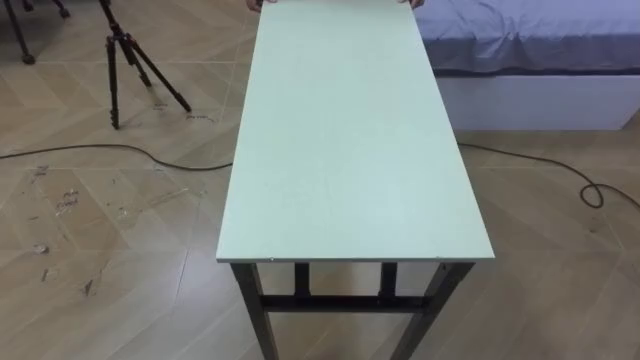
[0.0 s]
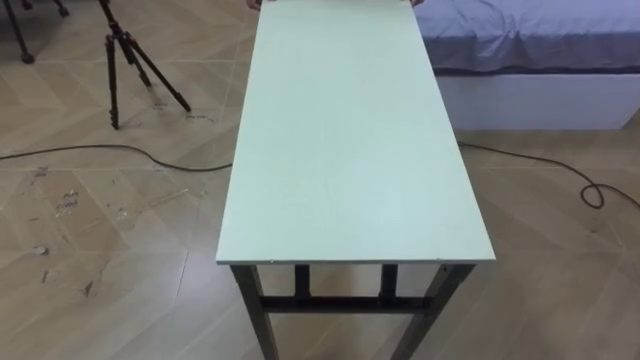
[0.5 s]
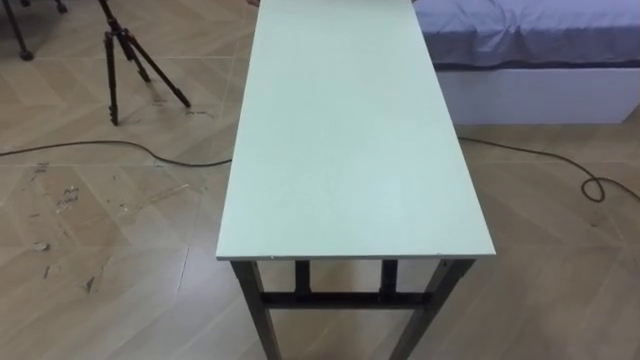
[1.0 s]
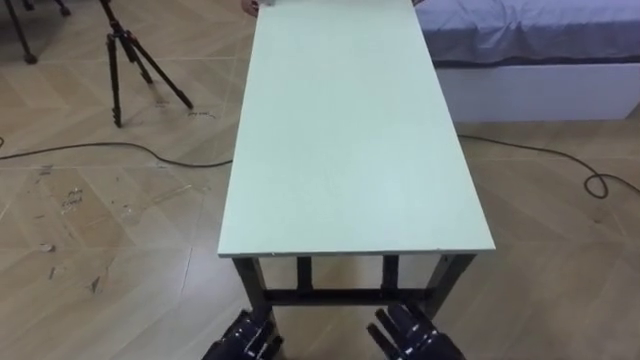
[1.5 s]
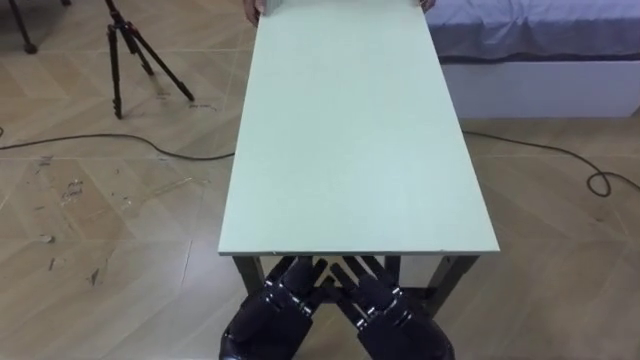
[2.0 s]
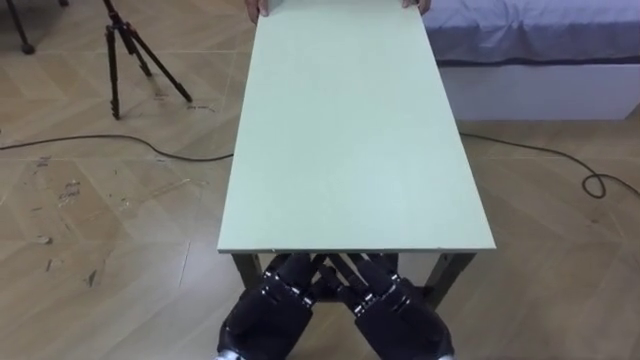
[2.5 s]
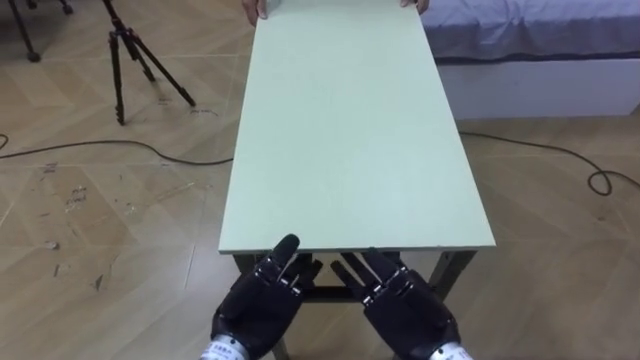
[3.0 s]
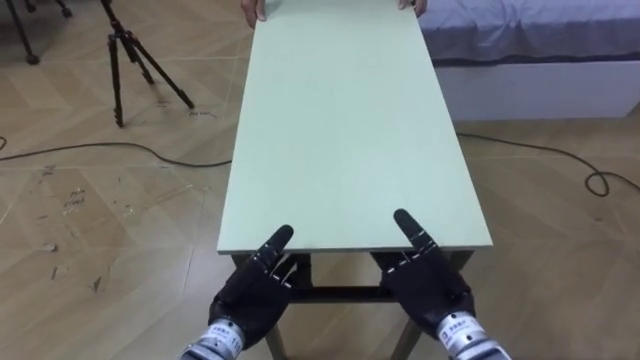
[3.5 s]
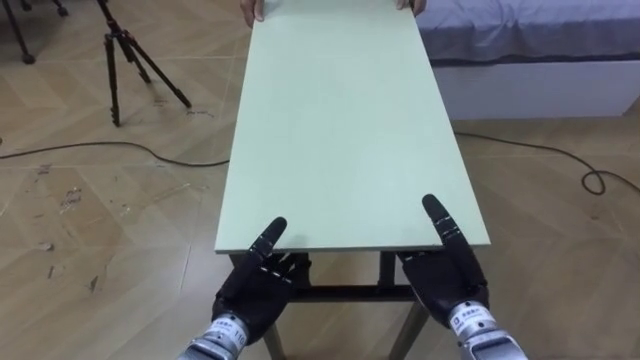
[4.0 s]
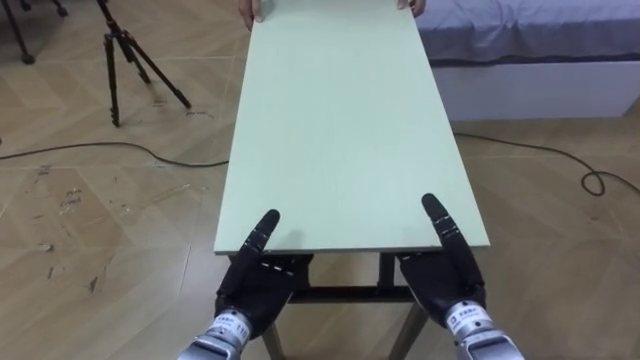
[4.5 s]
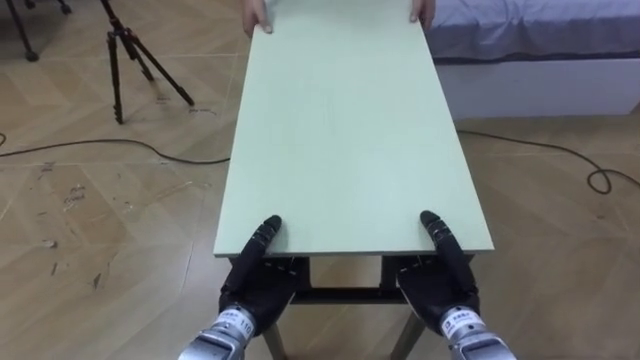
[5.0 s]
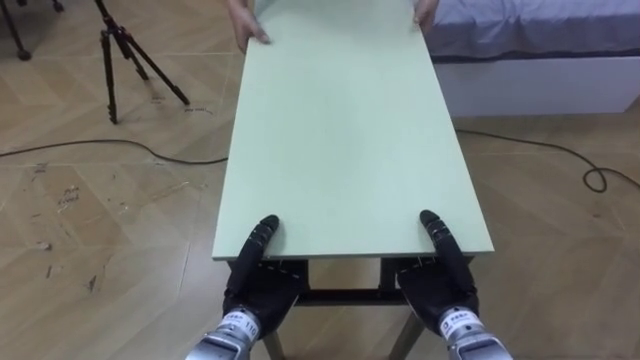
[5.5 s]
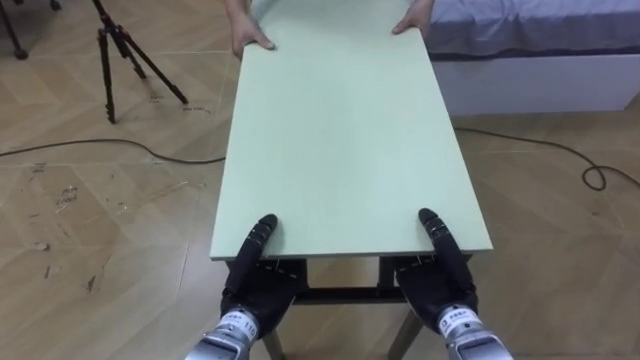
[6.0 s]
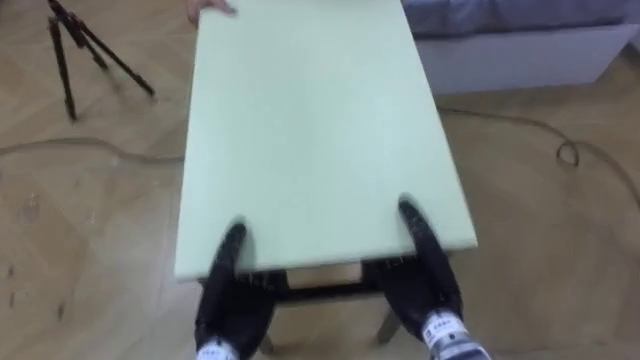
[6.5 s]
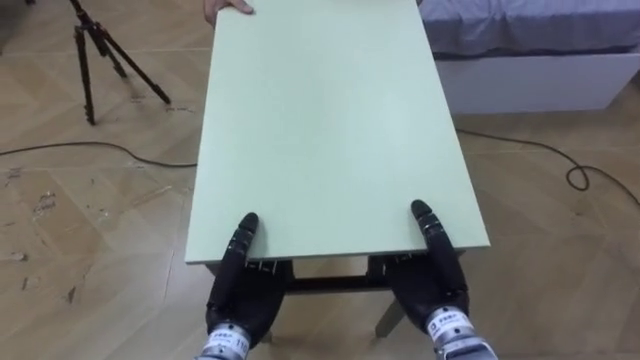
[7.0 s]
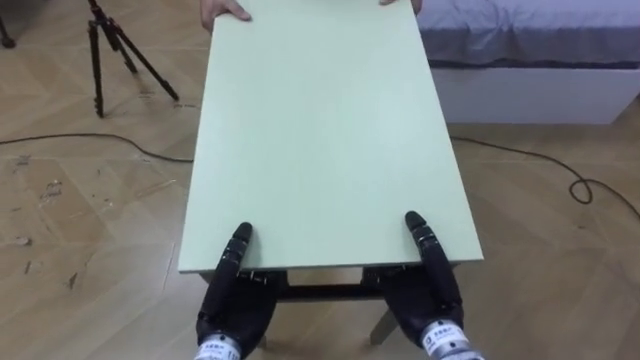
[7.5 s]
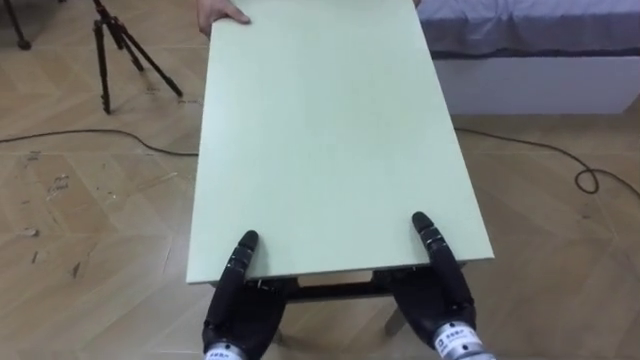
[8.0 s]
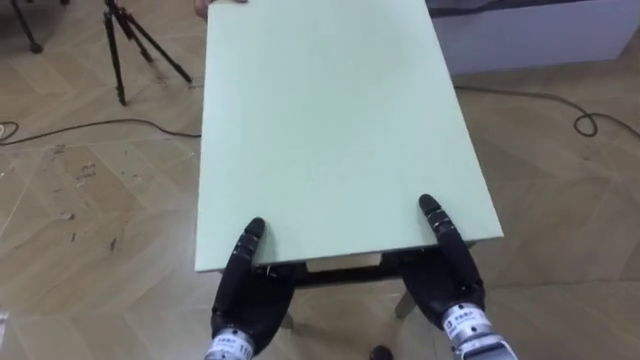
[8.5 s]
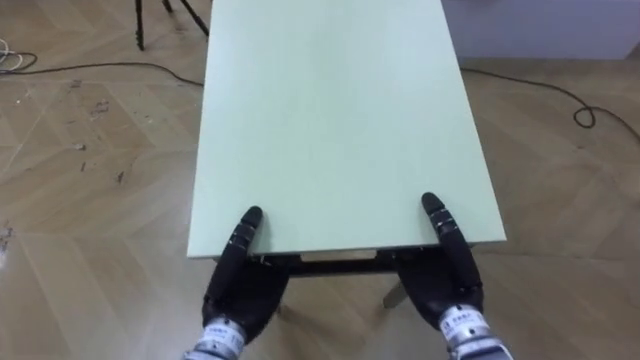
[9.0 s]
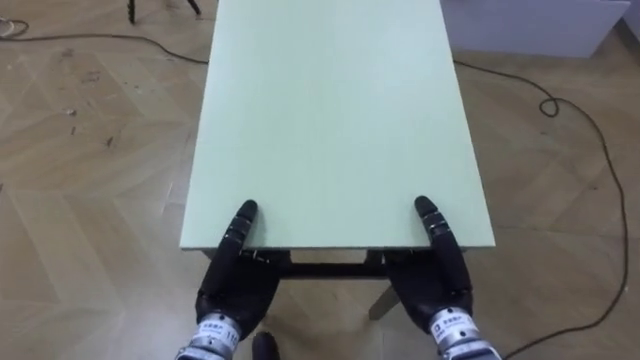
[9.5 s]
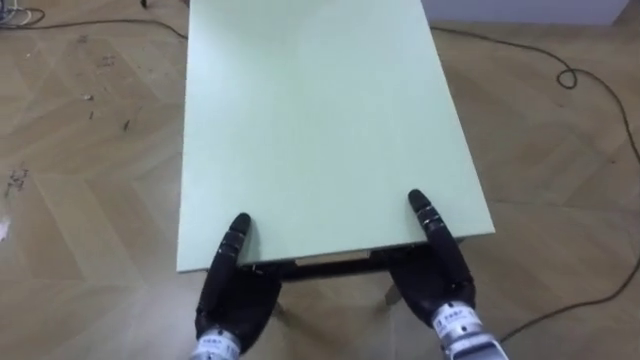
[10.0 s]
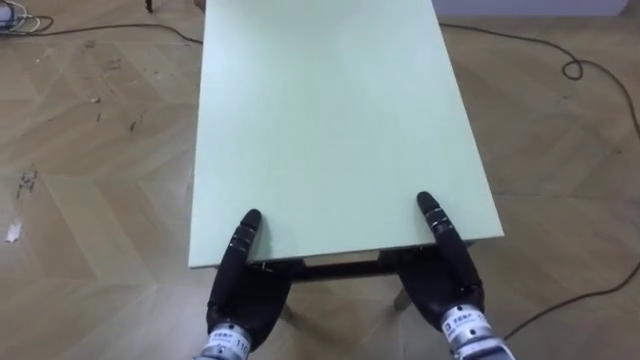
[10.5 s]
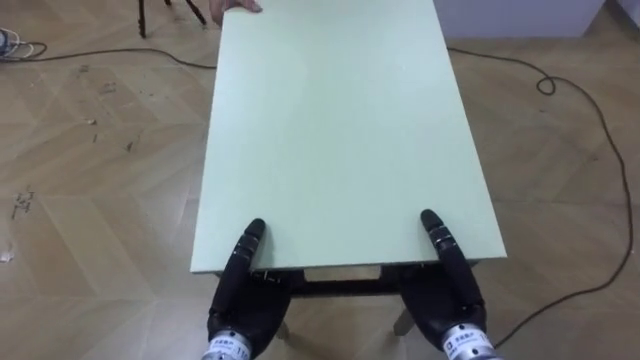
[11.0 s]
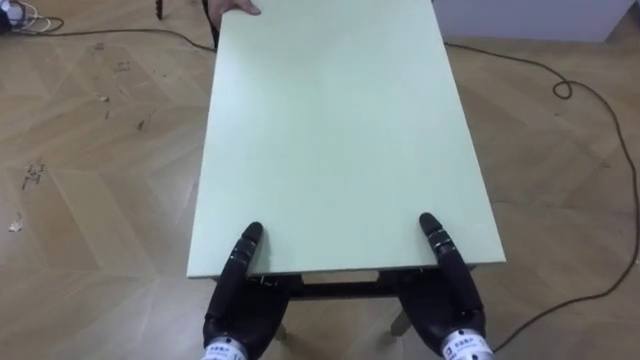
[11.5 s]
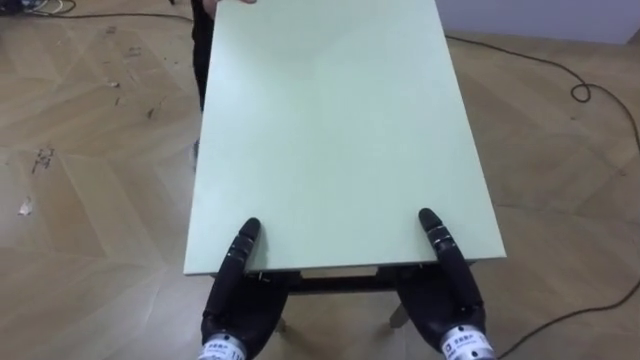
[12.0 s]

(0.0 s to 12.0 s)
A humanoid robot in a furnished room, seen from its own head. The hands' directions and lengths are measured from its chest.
Task of the whole recording: Move the table to the back left with someone.
2.0 s - 4.0 s: The right hand heads forward and to the right, covering some 10 cm; the left hand changes place by approximately 5 cm.
4.0 s - 6.0 s: The left hand closes up; the right hand closes its fingers.

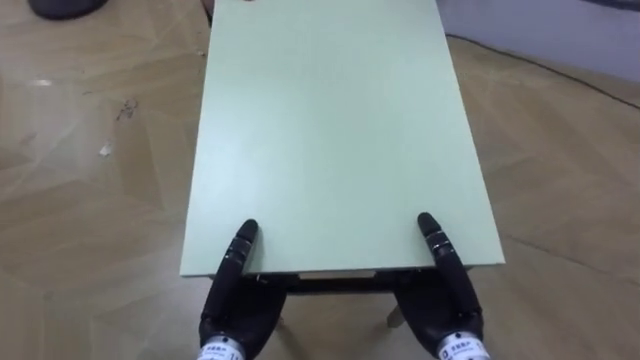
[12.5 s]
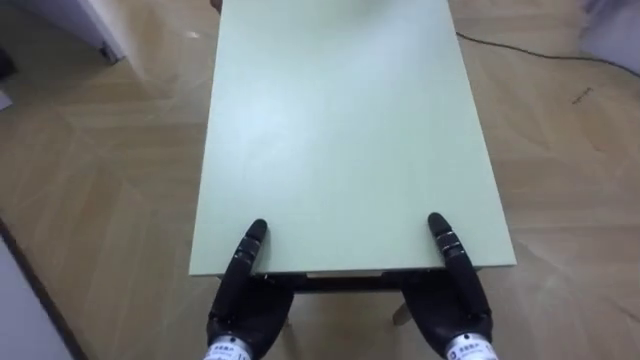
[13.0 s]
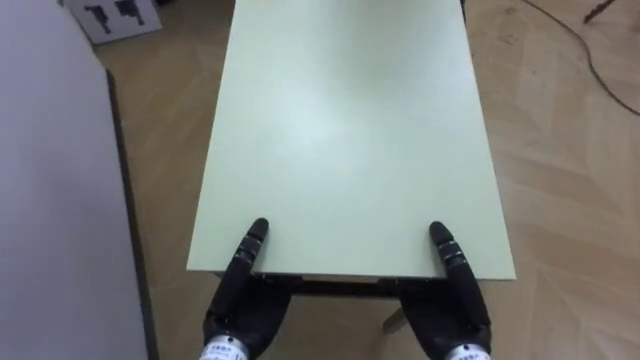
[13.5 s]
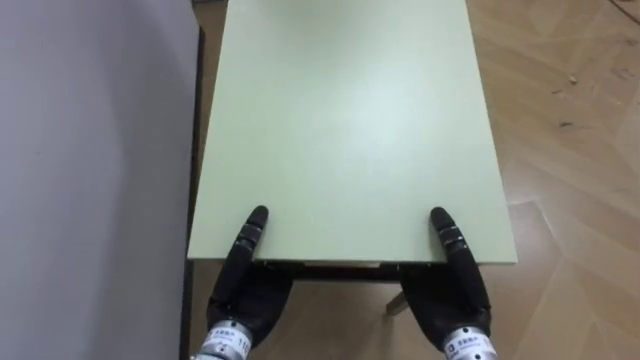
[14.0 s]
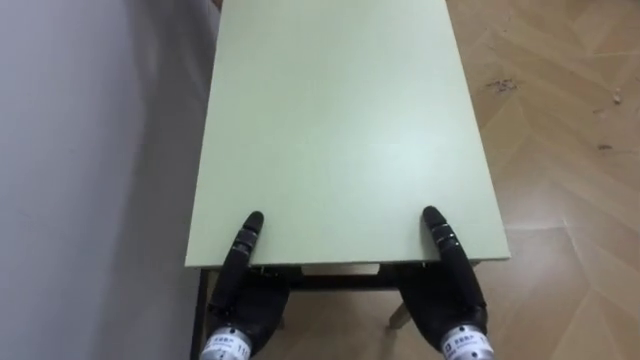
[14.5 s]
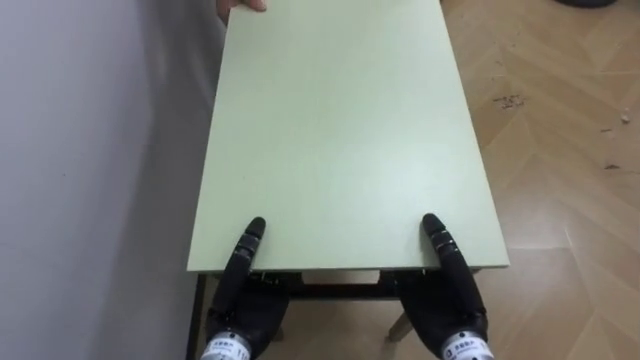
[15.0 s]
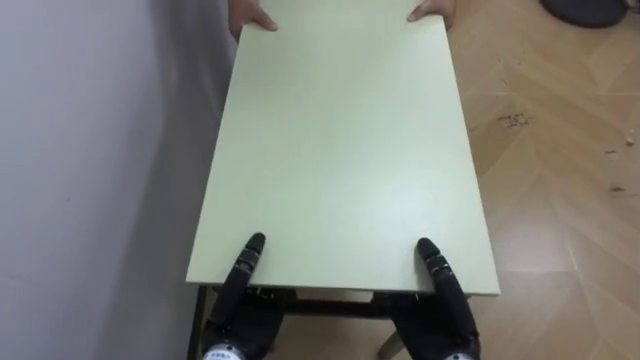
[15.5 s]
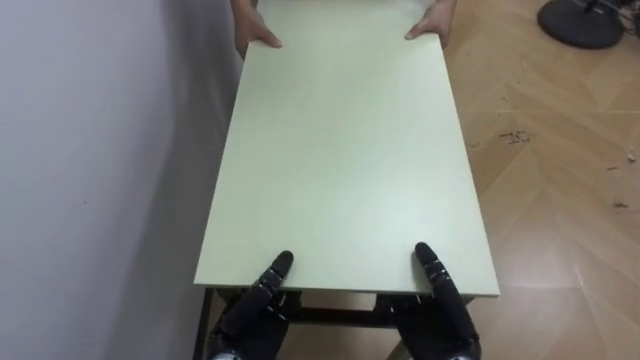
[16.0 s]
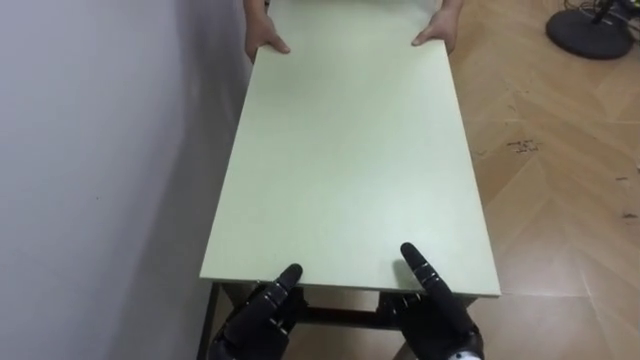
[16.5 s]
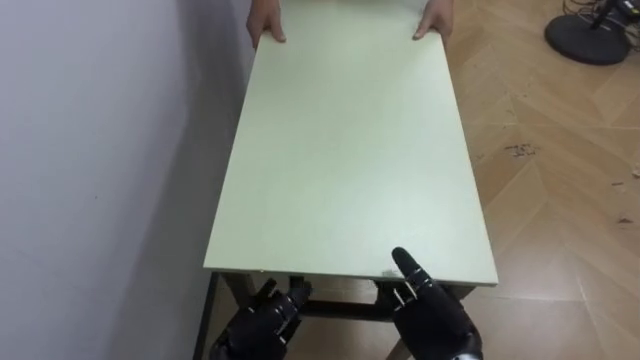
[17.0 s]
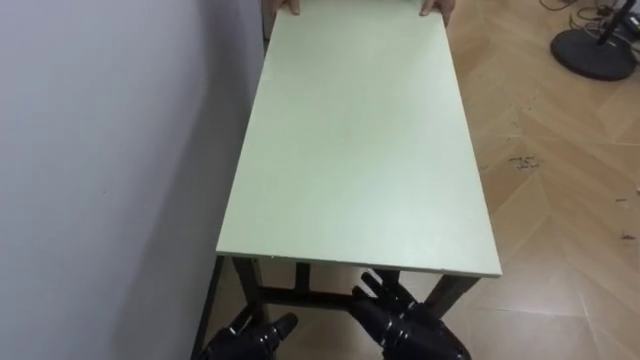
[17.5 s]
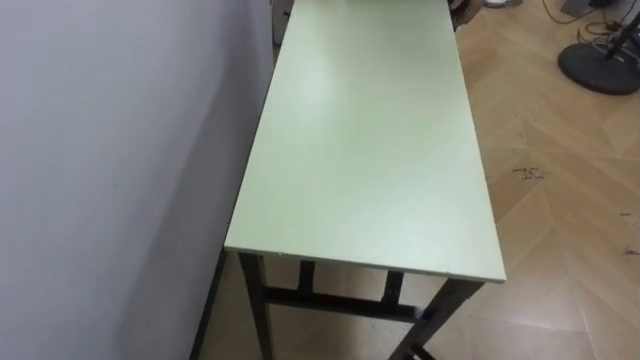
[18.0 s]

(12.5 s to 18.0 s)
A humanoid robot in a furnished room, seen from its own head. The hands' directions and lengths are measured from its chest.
Task of the whole recording: Move the table to the back left with someone.
12.5 s - 14.5 s: The robot faces roughly 65 degrees further to its left.
14.5 s - 16.0 s: The right hand shifts by about 5 cm, while the left hand shifts by about 5 cm.

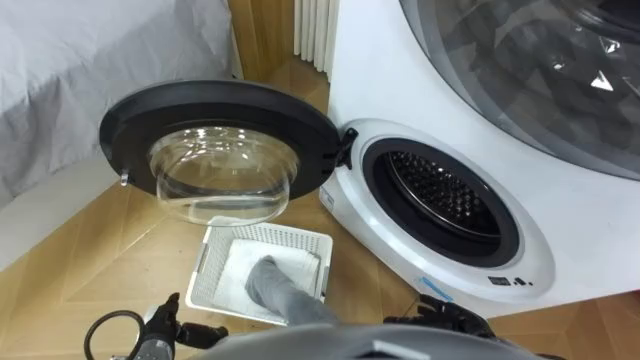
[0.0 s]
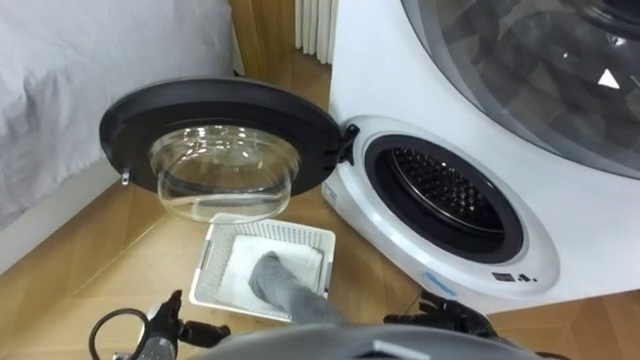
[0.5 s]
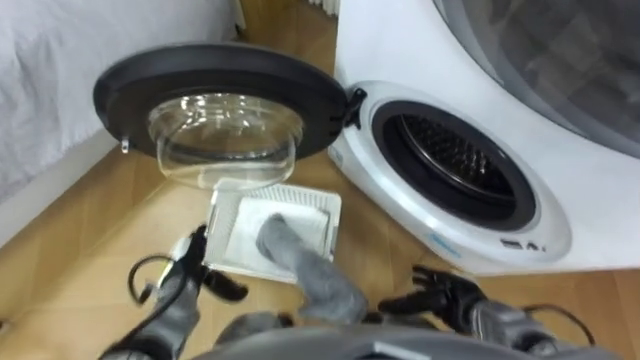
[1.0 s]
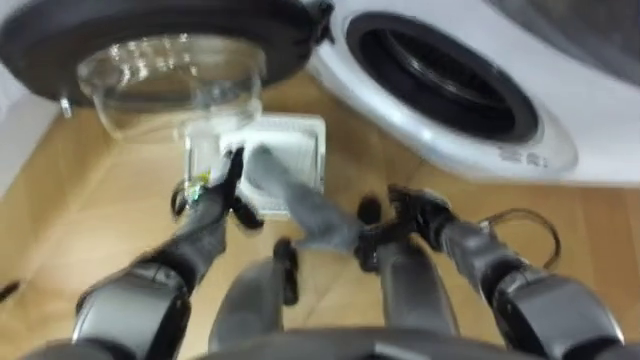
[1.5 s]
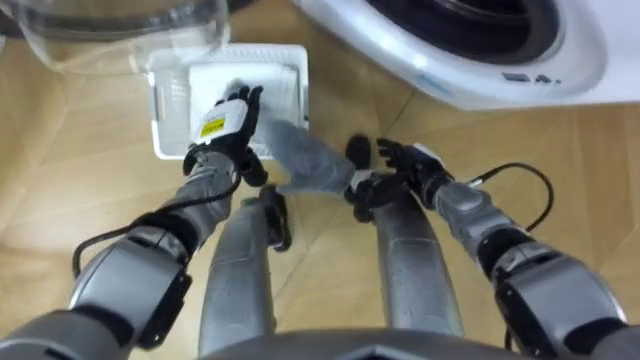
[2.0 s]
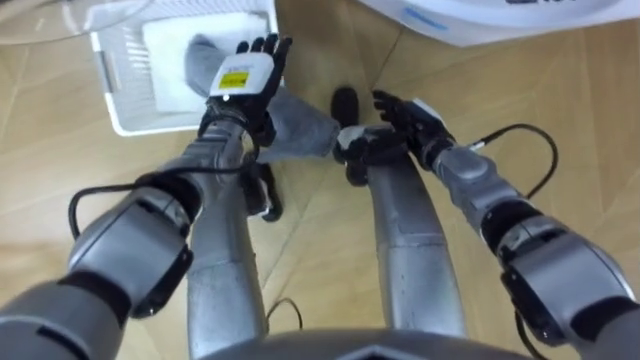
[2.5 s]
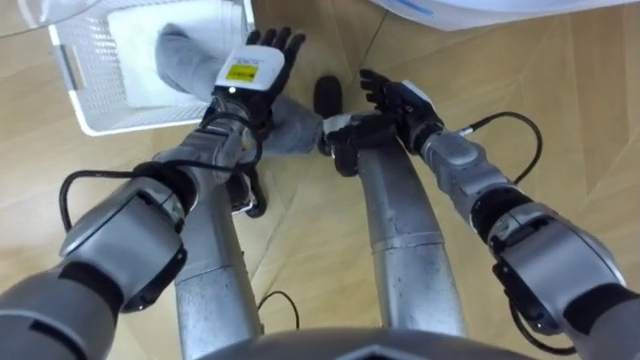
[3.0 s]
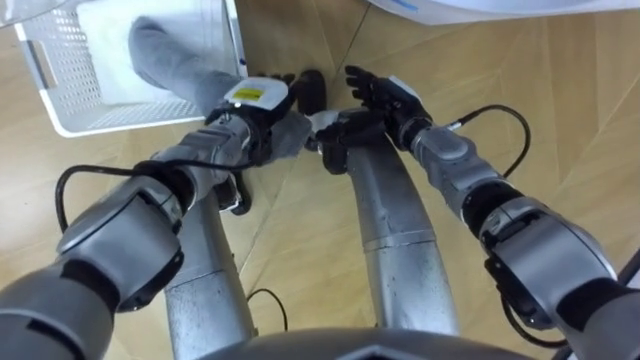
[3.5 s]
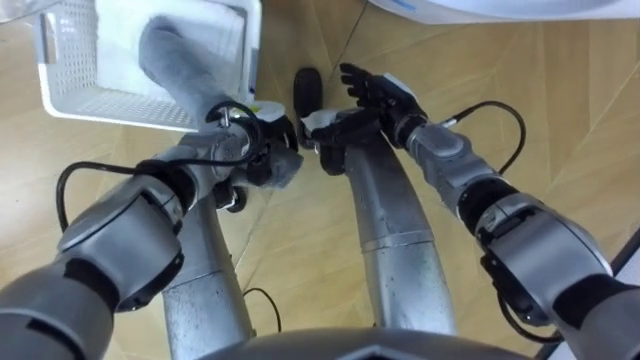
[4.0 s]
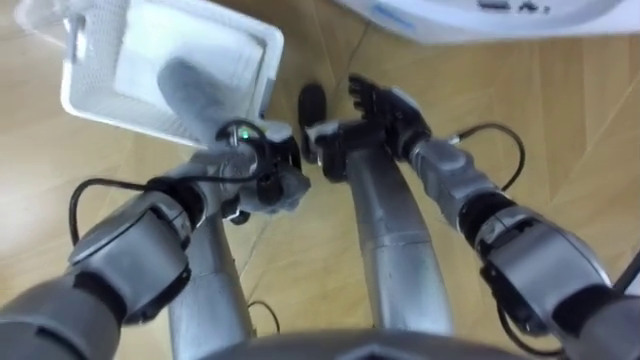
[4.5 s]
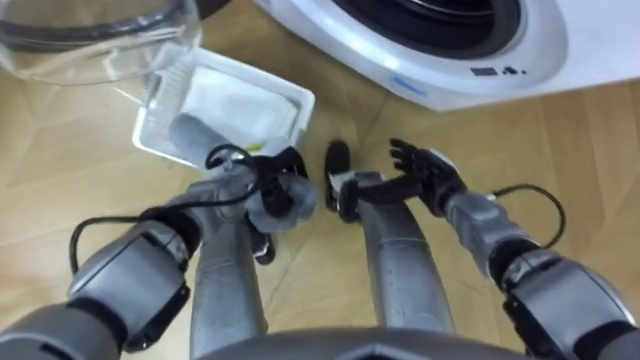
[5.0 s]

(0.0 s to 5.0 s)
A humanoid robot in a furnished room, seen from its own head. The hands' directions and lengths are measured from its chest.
Task of the whole recording: Take the towel from the basket and put it into the washing machine.
2.5 s - 5.0 s: The left hand is displaced downward and backward by approximately 10 cm, and closes up. The right hand moves backward, approximately 5 cm.
